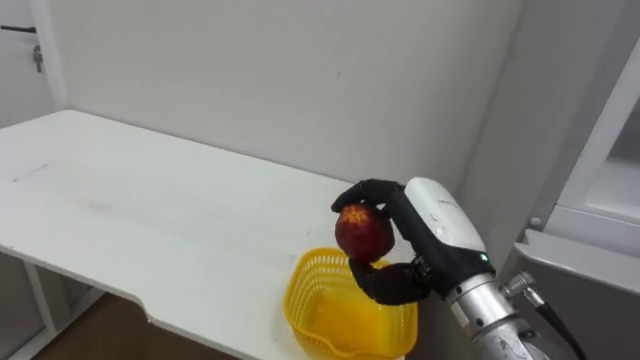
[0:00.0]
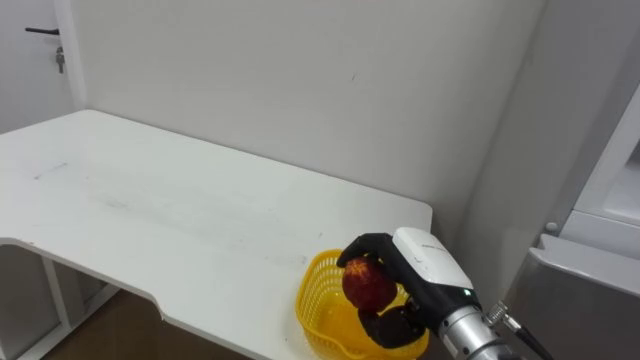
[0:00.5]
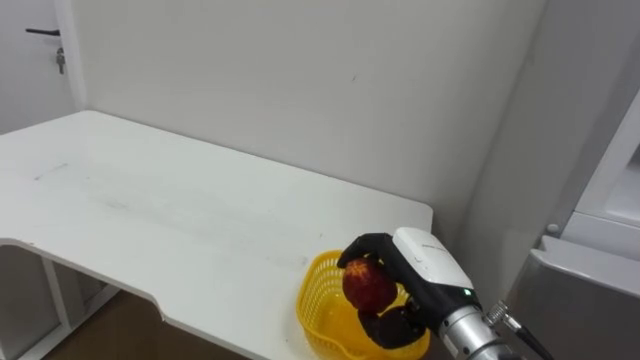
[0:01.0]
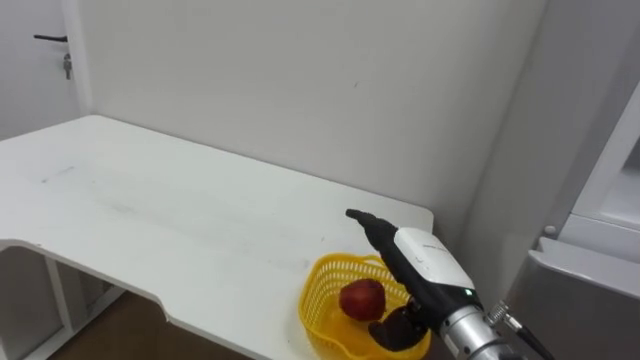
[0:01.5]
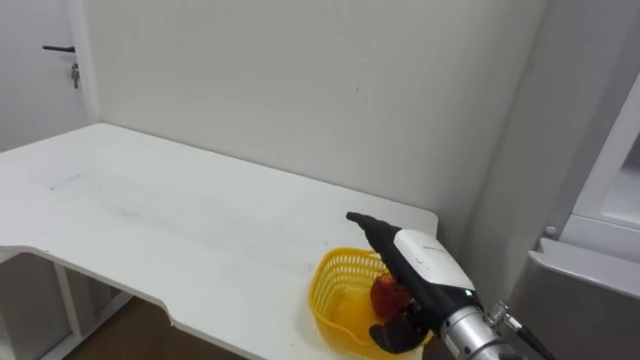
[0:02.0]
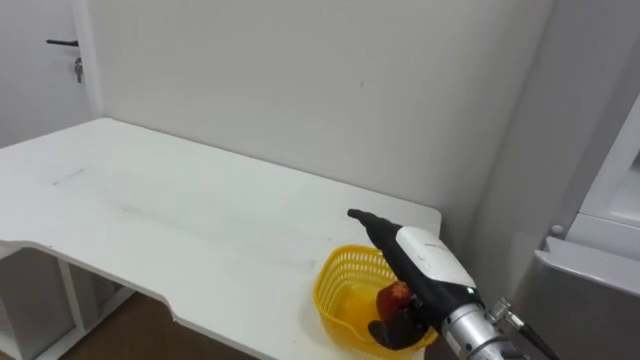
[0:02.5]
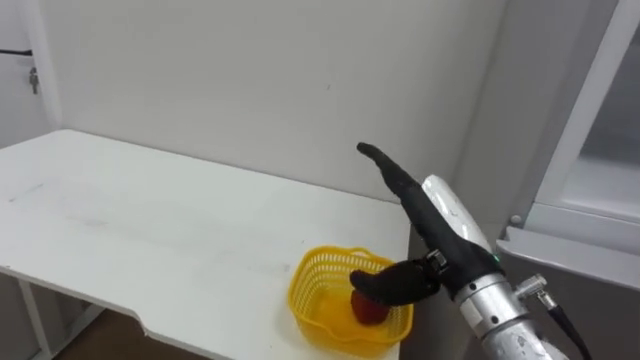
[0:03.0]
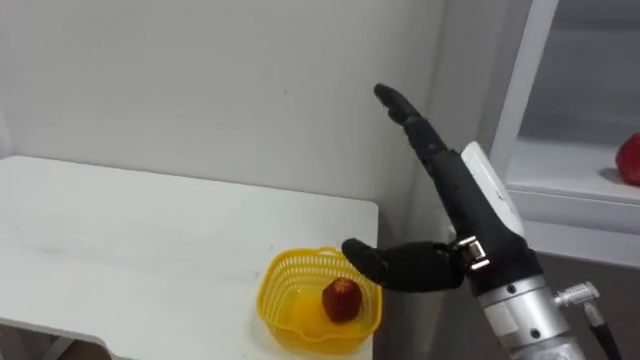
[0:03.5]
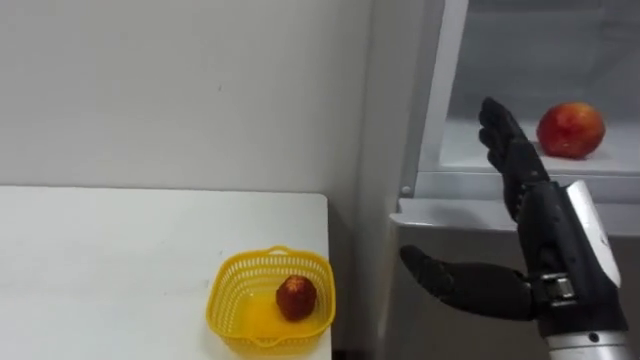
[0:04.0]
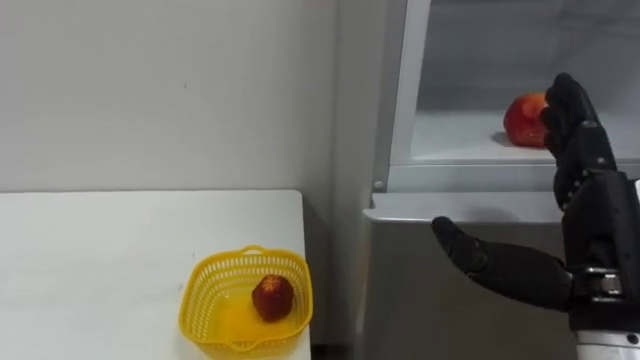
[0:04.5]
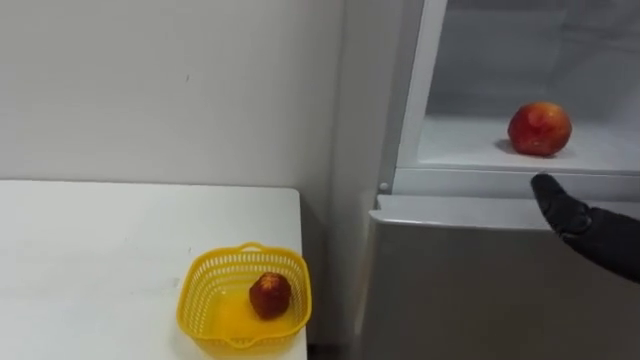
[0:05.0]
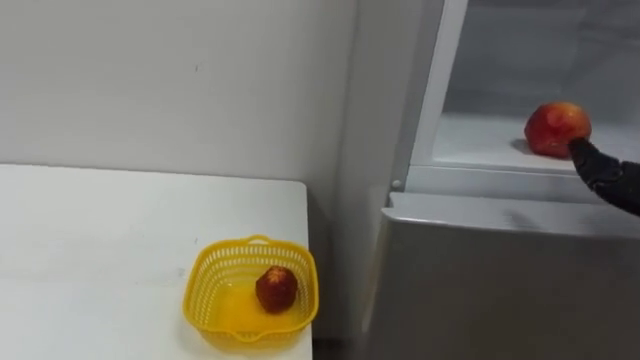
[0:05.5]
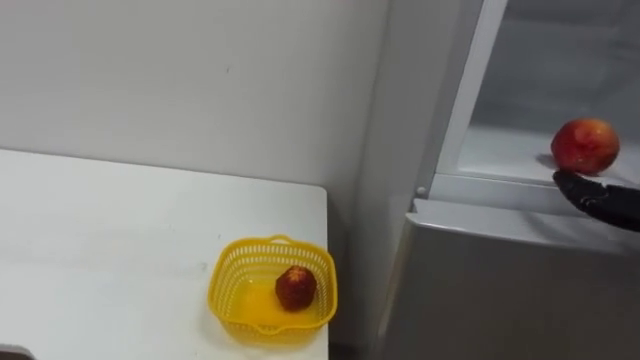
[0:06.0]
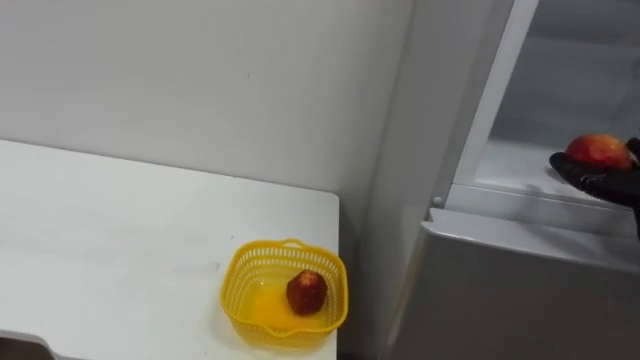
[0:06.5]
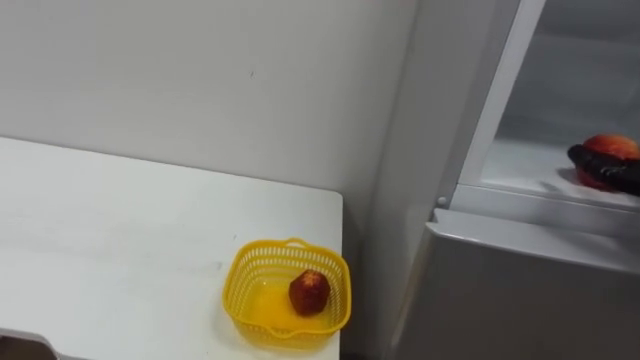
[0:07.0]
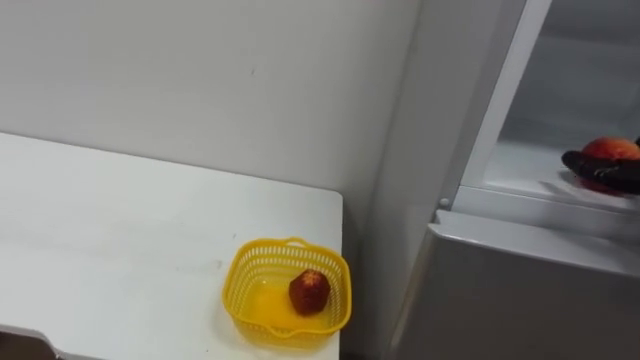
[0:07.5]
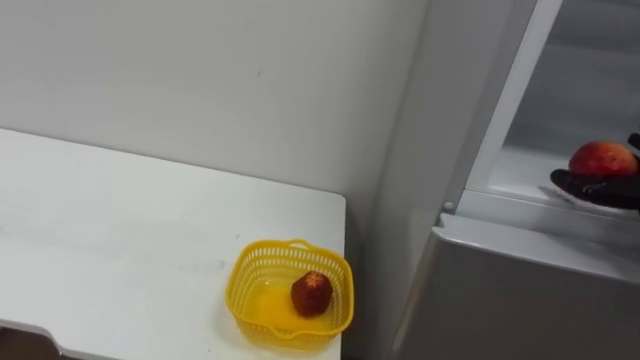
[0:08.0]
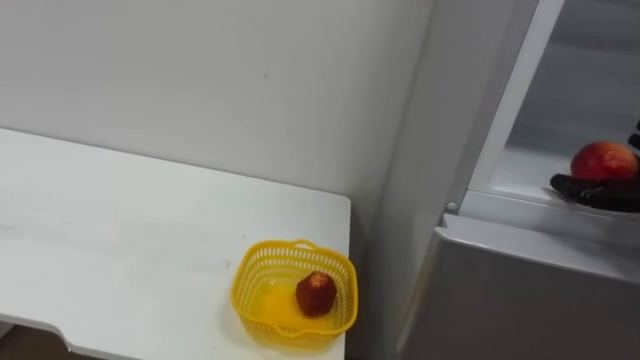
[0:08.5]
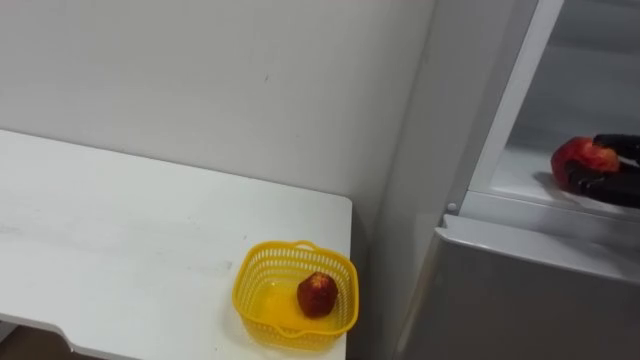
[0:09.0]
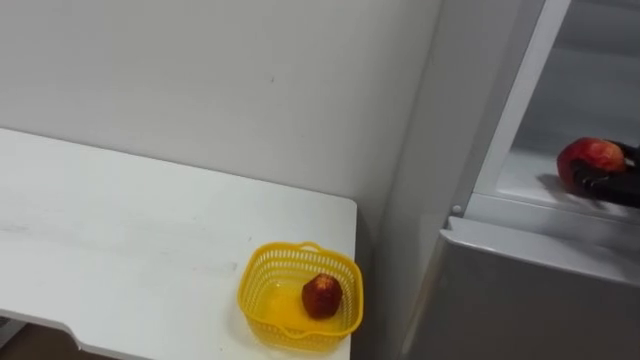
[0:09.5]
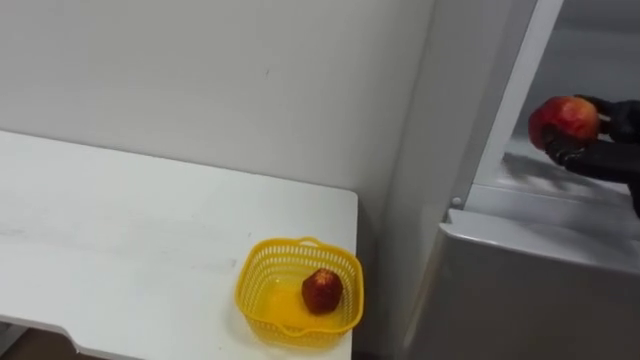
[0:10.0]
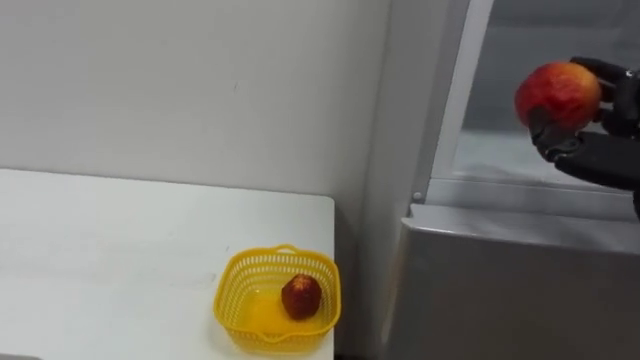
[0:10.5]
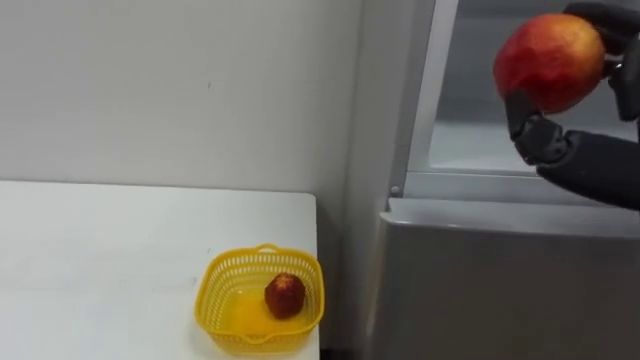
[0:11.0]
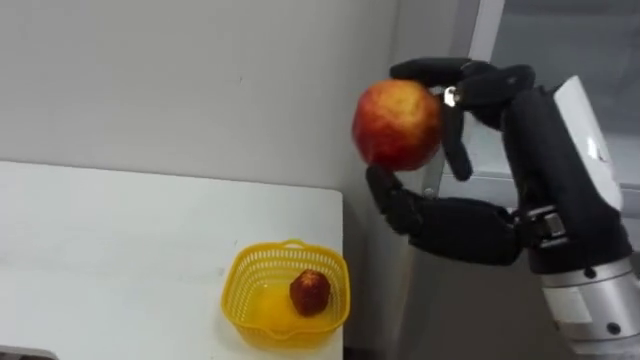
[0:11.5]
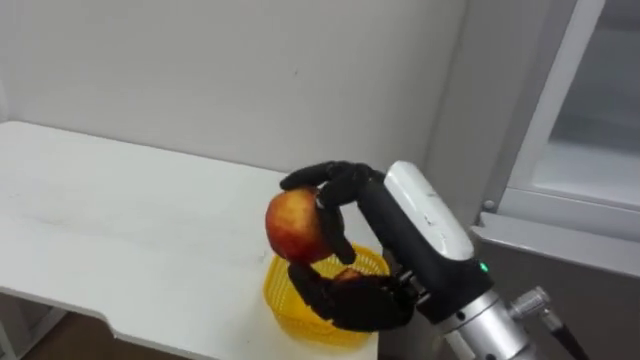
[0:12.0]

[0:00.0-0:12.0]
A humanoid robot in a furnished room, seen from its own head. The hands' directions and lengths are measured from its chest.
Task of the whole recording: Open the refrigerator door, take out the apple and the pomegranate, place them in the fruit basket on the left, and close the refrigerator door.
0:00.0 to 0:02.0: The right hand shifts approximately 5 cm downward, and opens.
0:02.0 to 0:04.0: The right hand goes roughly 15 cm upward, backward and to the right.

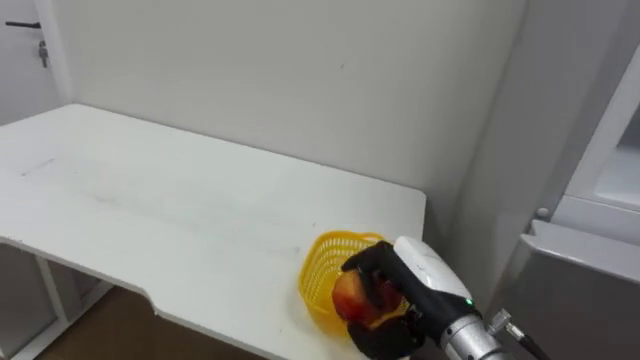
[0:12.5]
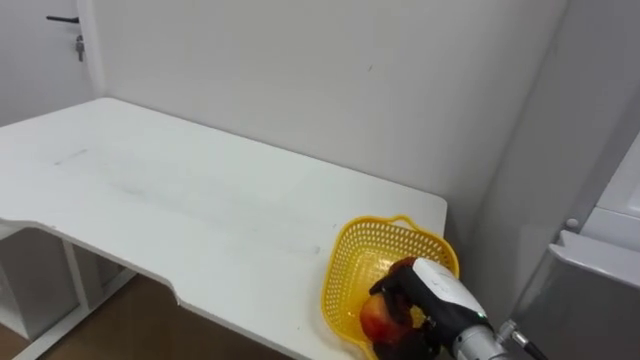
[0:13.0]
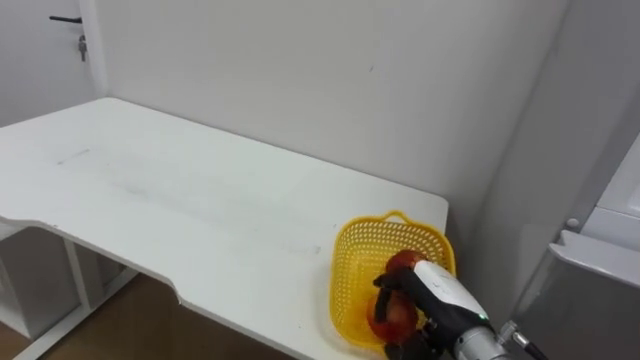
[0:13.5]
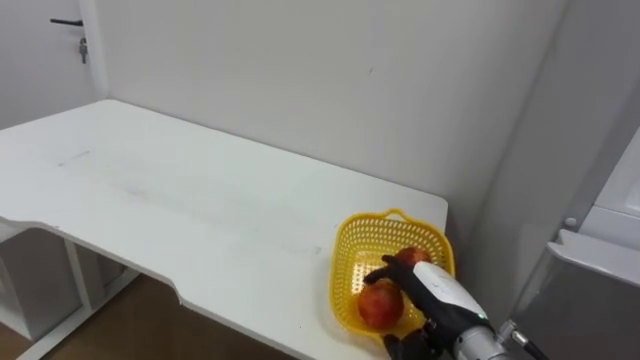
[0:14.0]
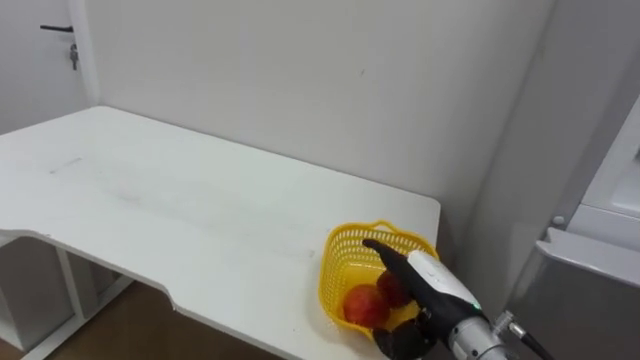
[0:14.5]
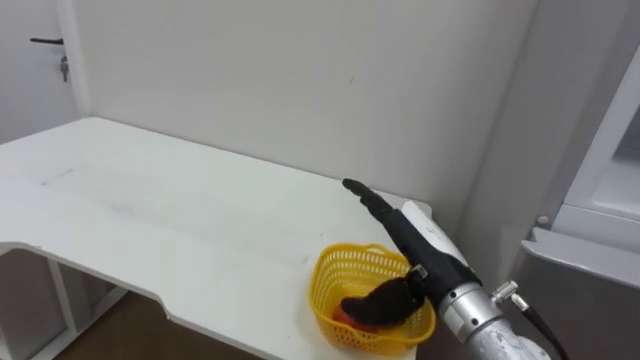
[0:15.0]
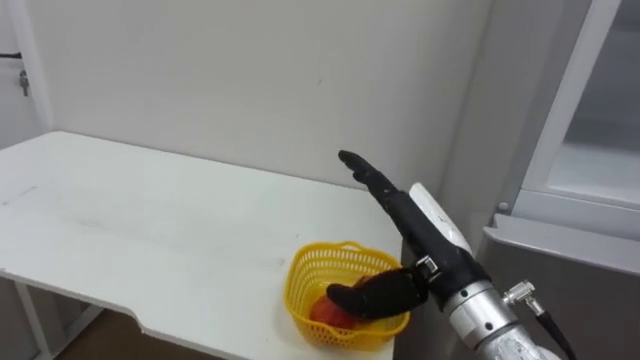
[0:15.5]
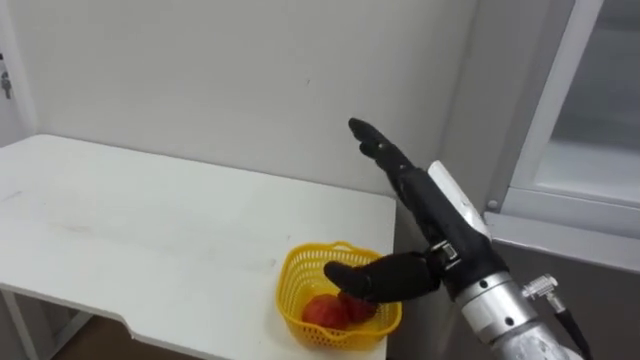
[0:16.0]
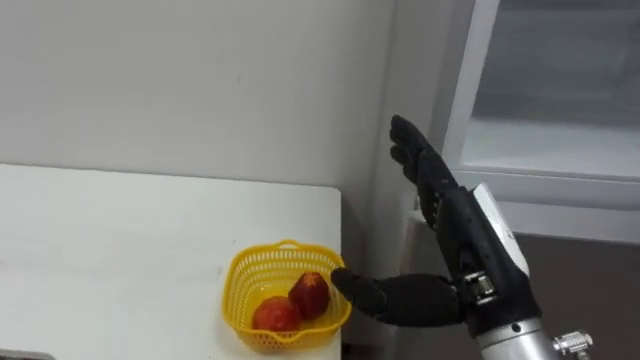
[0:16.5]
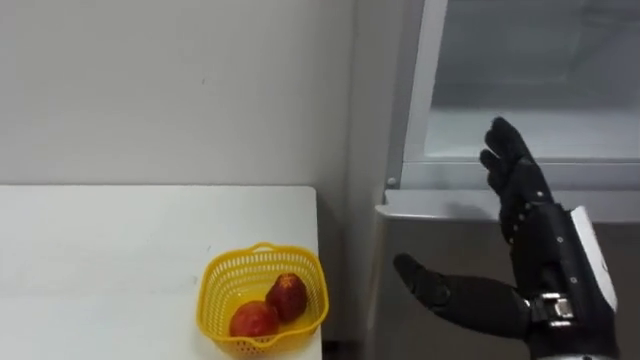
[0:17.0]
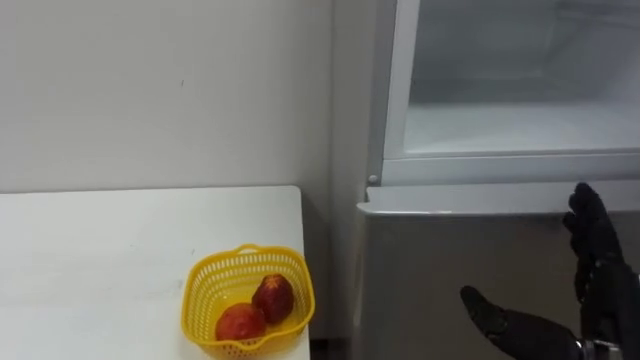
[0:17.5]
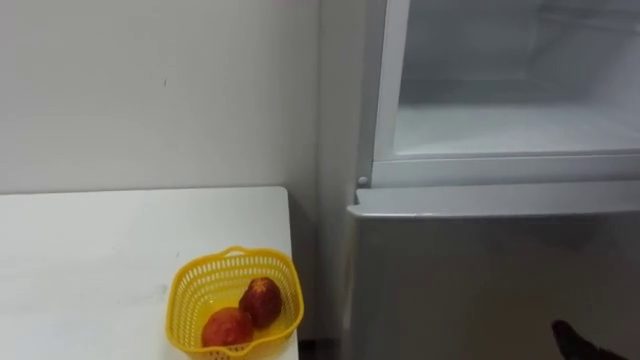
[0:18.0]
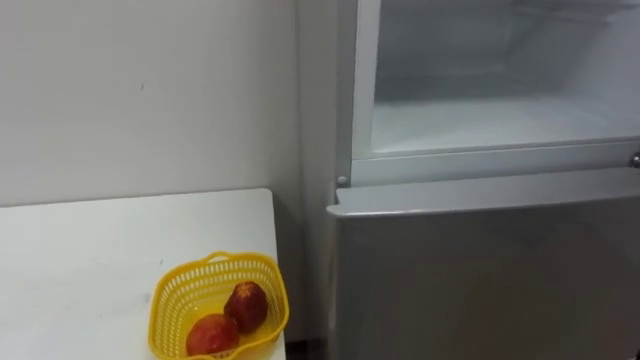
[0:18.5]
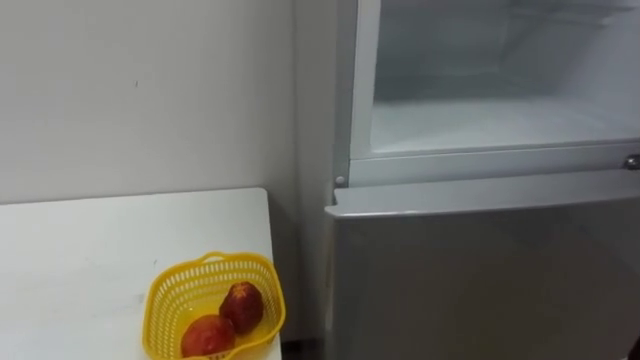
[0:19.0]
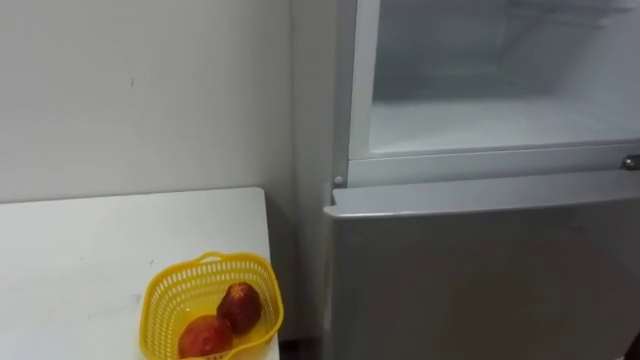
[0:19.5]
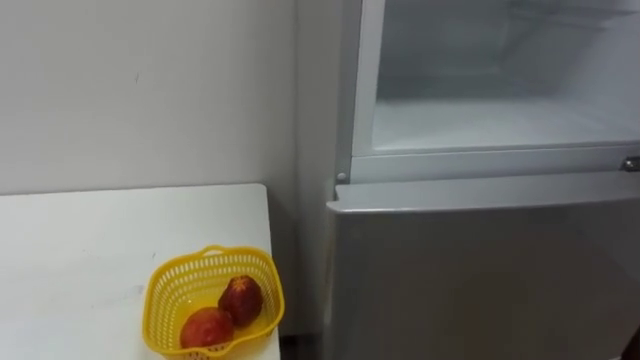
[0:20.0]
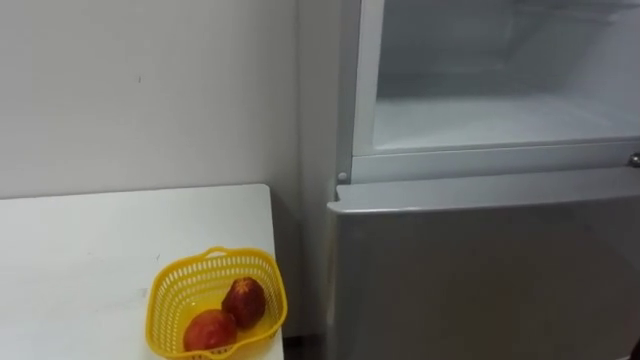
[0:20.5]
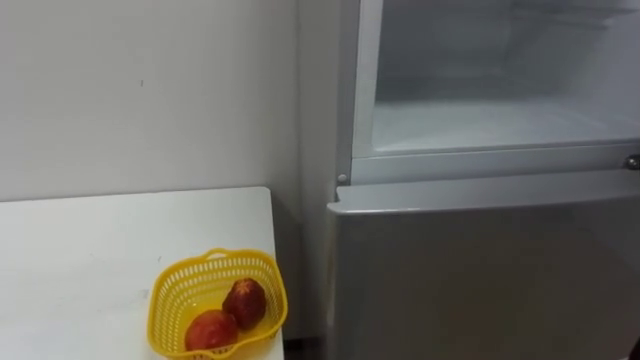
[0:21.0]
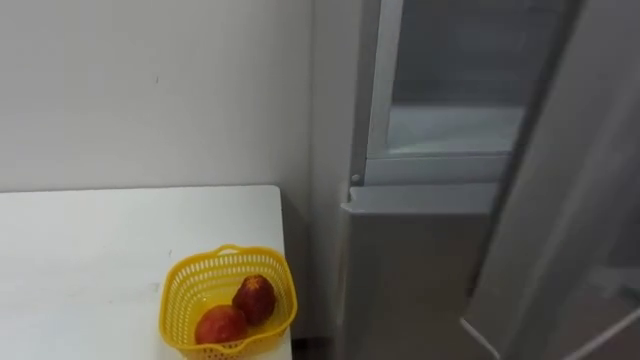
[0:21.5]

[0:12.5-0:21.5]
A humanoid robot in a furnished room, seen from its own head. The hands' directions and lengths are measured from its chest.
Task of the whole recording: Open the refrigerator door, take out the apple and the pomegranate, place them in the fruit basket on the left, and close the refrigerator door.
0:12.5 to 0:14.5: The right hand moves roughly 5 cm, and opens its fingers.
0:14.5 to 0:17.0: The right hand travels upward and backward by some 15 cm.
